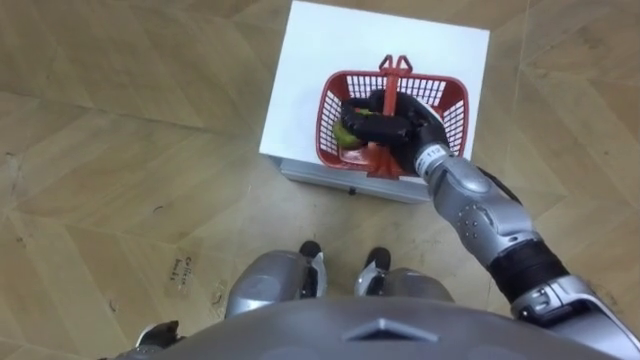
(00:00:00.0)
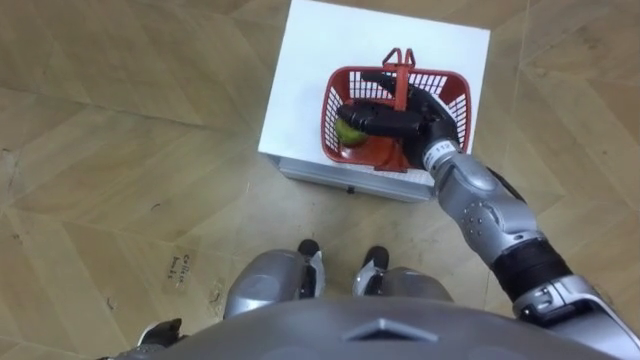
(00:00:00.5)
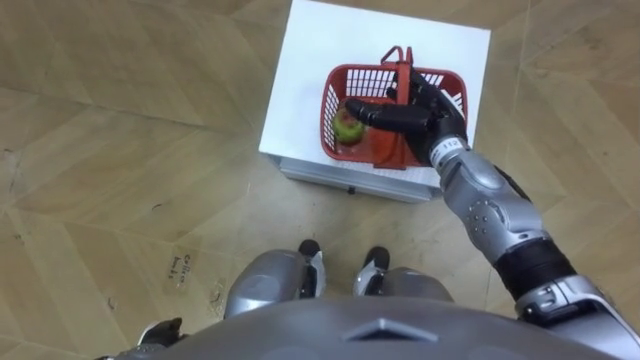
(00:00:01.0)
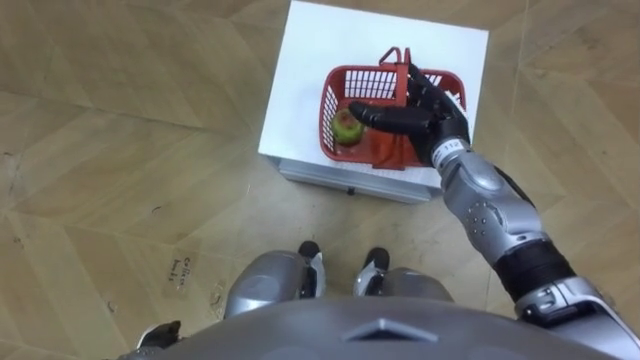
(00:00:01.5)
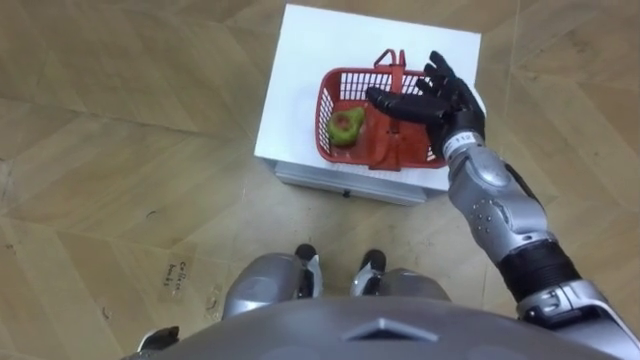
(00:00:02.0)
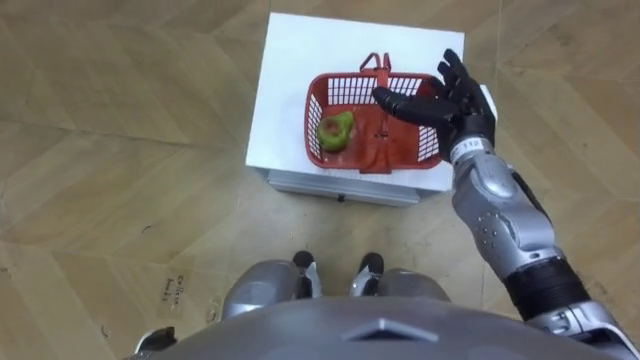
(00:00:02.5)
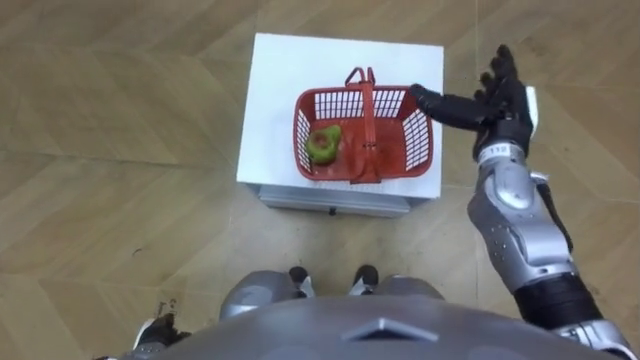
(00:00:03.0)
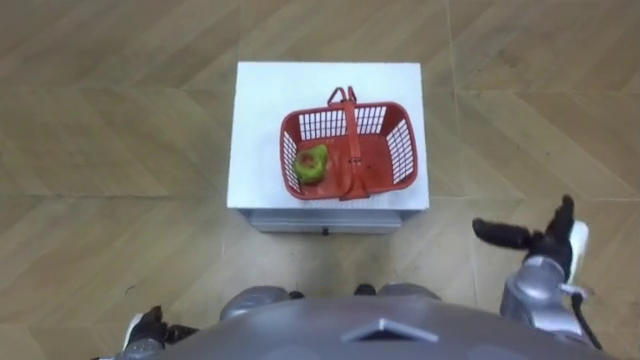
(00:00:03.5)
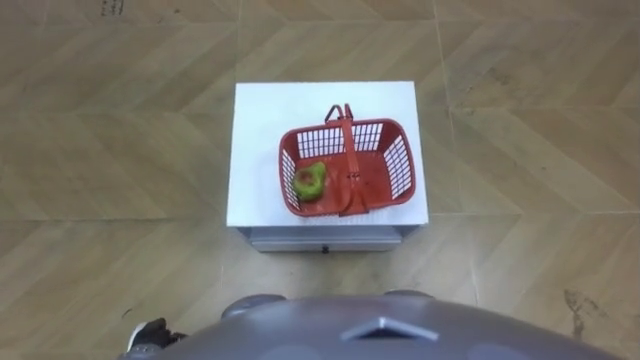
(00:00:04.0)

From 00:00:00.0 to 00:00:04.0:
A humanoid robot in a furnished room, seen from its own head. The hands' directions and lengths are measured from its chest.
Task of the whole recording: Pick up the fruit basket from the floor and place it on the cabinet.
From 00:00:00.0 to 00:00:02.0: The right hand moves to the right, roughly 5 cm, and opens.

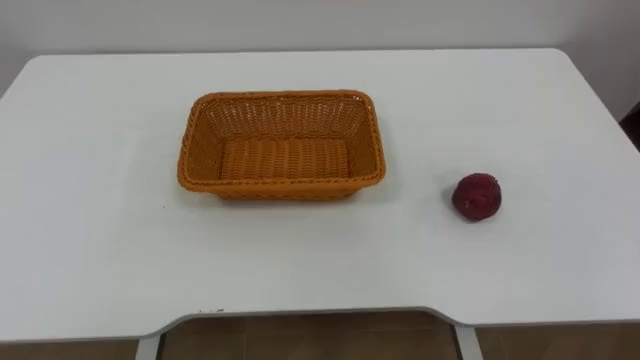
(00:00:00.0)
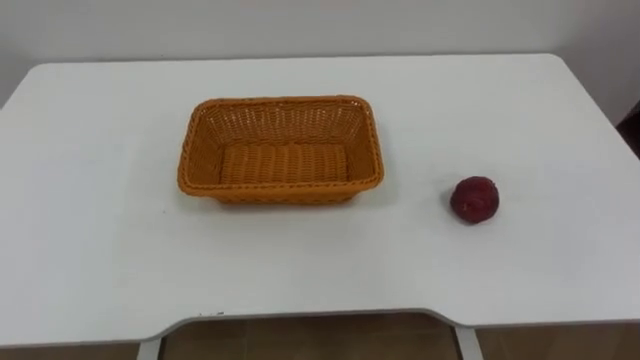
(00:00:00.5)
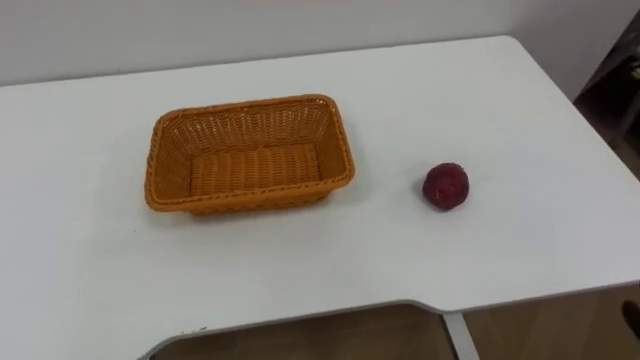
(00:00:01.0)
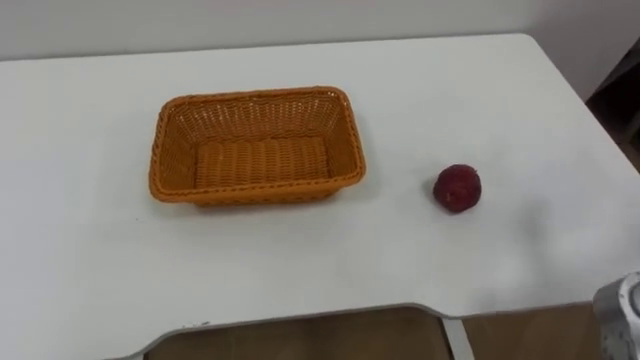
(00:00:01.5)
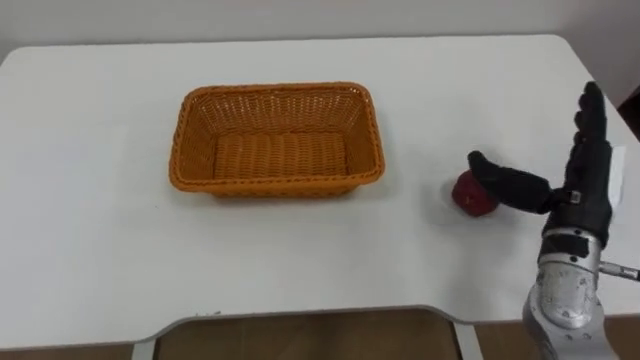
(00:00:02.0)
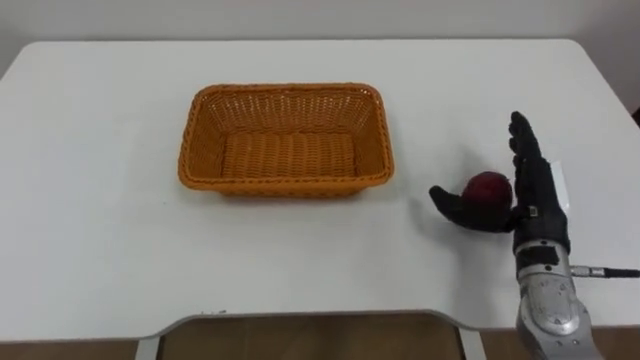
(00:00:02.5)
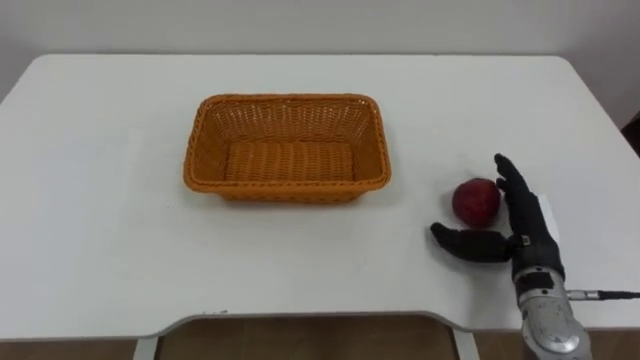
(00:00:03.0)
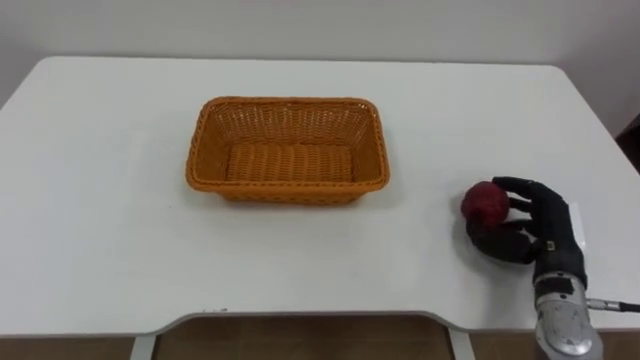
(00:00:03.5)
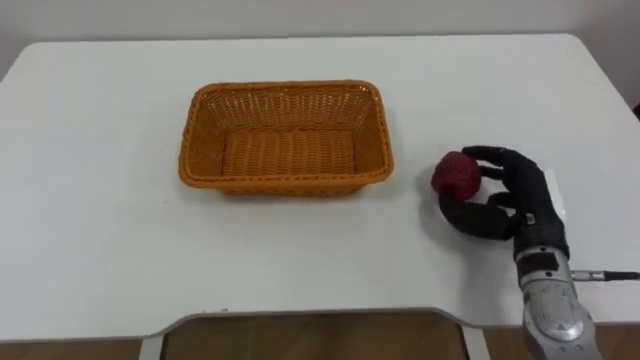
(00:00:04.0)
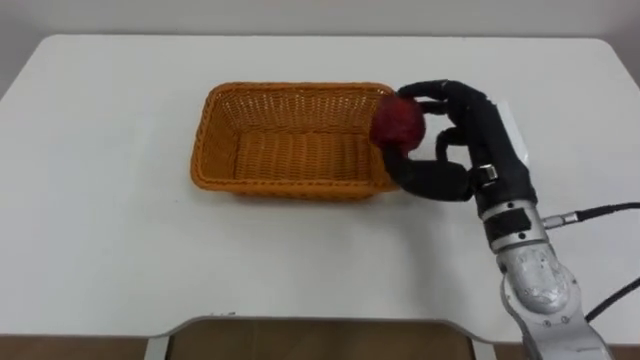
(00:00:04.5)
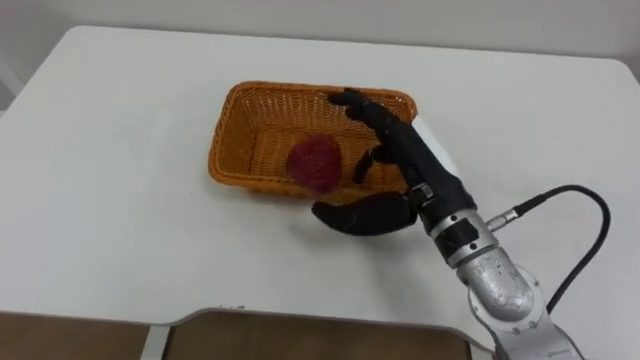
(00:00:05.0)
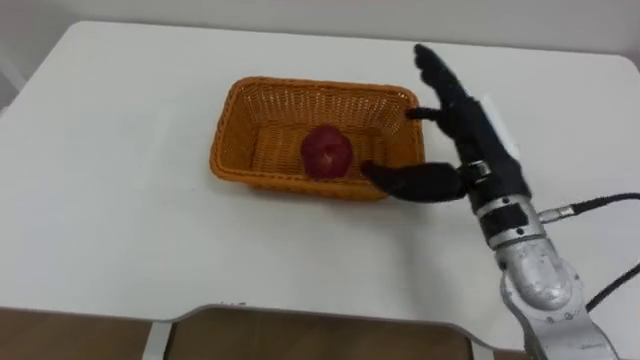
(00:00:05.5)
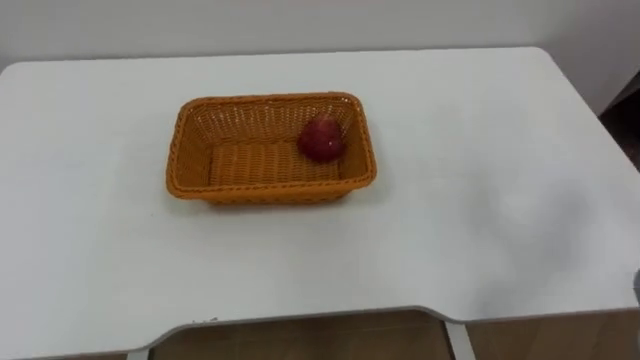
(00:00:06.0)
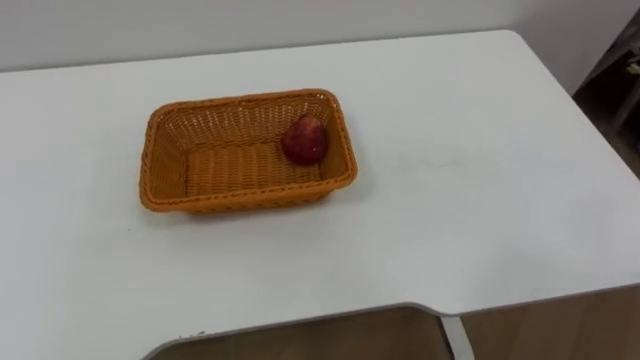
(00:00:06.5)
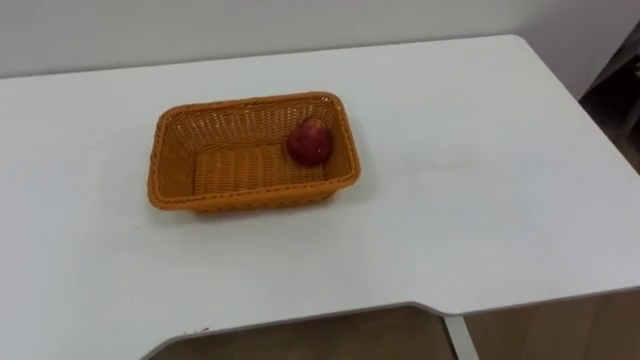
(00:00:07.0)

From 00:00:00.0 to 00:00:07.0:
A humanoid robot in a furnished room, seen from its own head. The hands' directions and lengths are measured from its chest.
Task of the whole recording: Pick the apple and place it in the box.
From 00:00:02.0 to 00:00:03.5: The right hand moves downward, some 10 cm, and closes its fingers.
From 00:00:03.5 to 00:00:05.0: The right hand is displaced to the left and upward by approximately 25 cm.

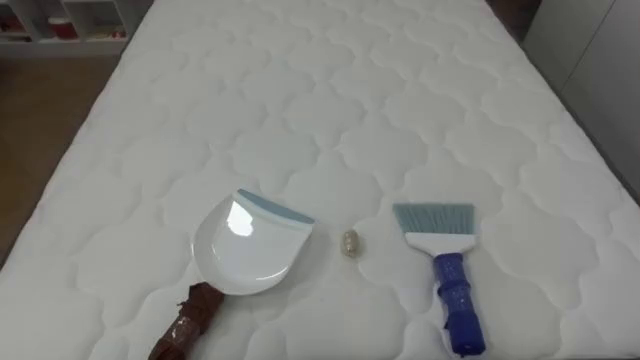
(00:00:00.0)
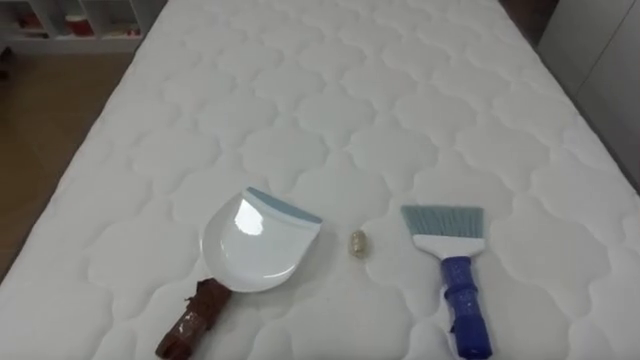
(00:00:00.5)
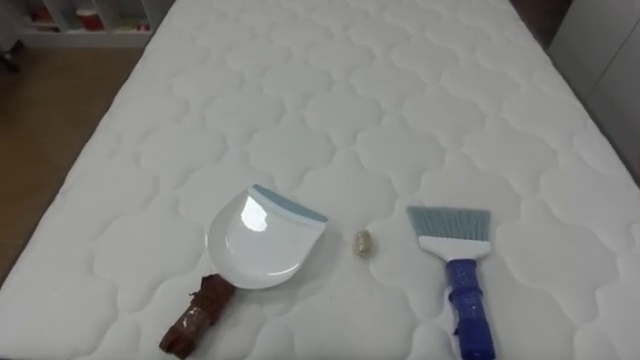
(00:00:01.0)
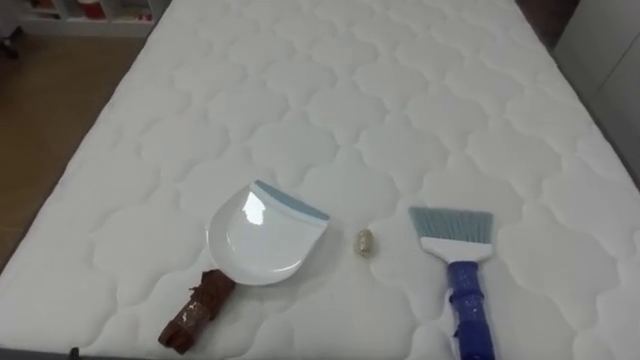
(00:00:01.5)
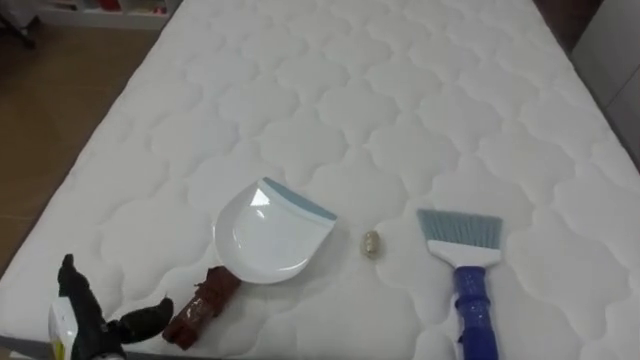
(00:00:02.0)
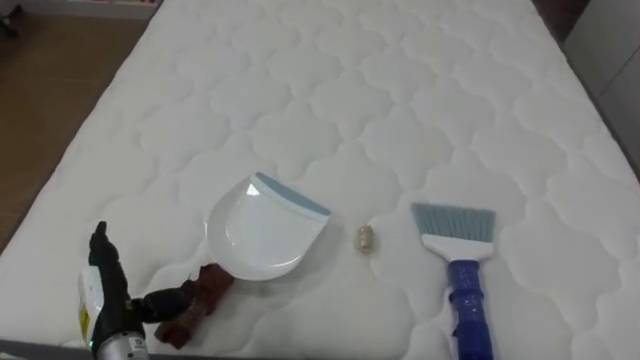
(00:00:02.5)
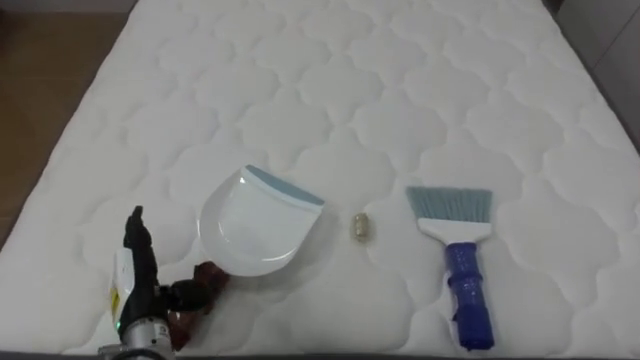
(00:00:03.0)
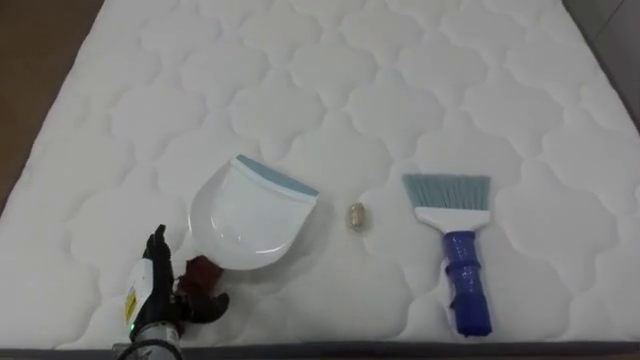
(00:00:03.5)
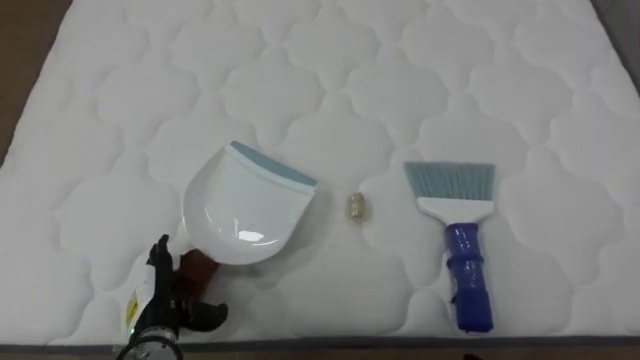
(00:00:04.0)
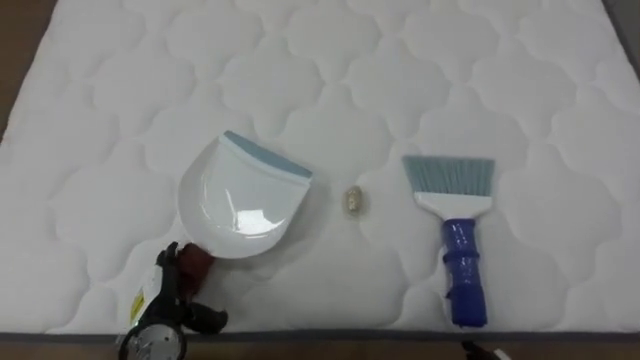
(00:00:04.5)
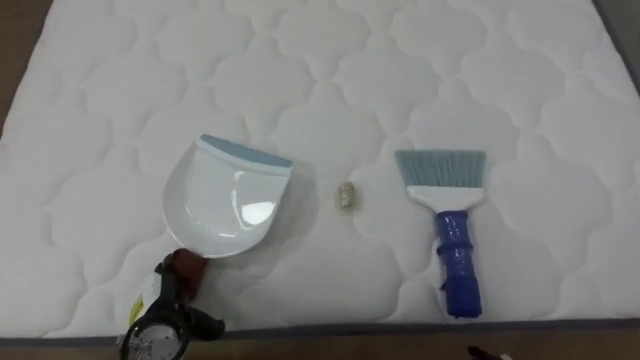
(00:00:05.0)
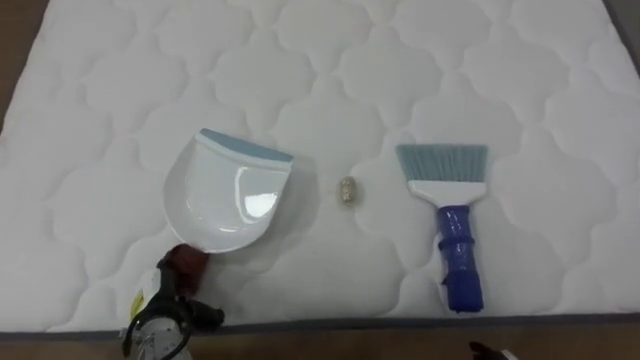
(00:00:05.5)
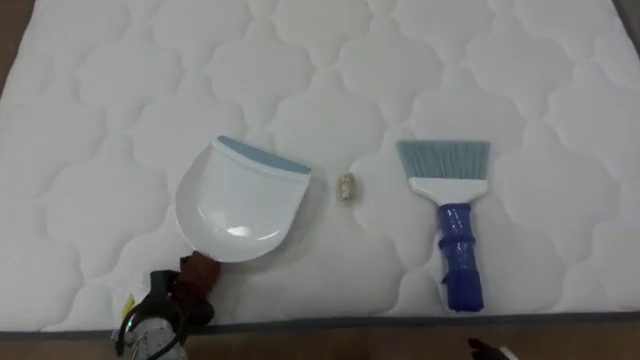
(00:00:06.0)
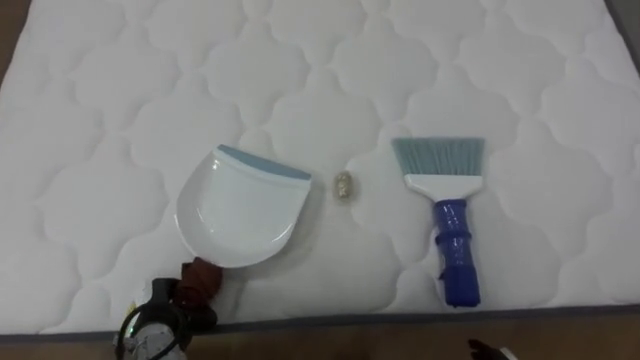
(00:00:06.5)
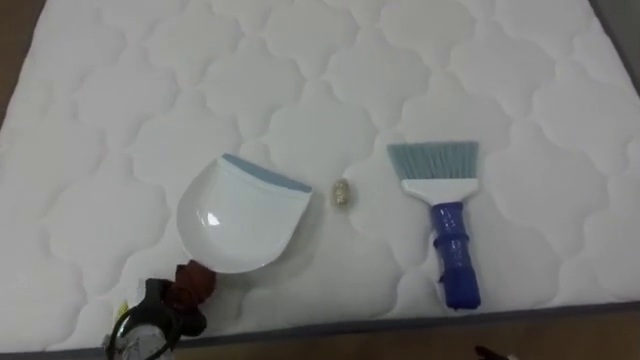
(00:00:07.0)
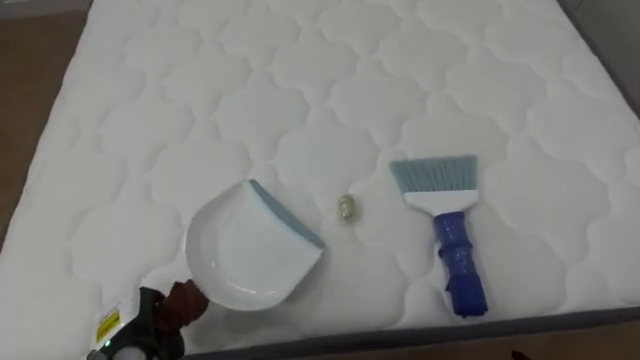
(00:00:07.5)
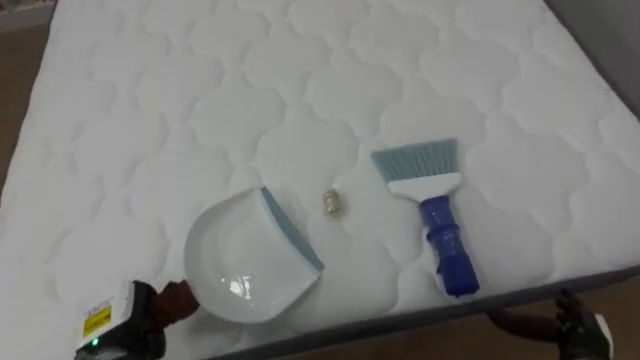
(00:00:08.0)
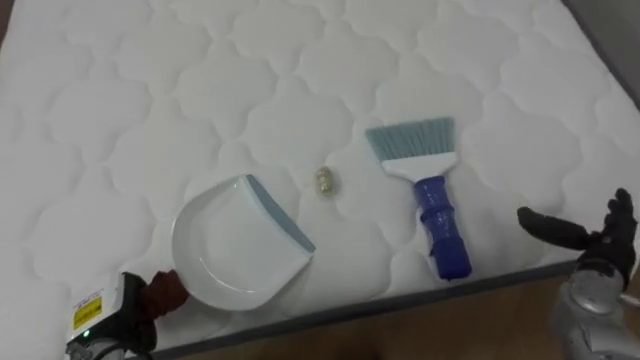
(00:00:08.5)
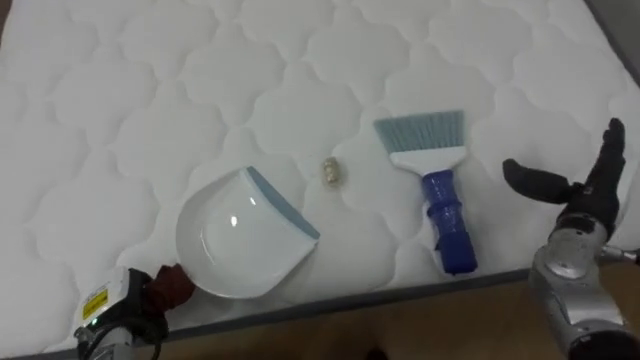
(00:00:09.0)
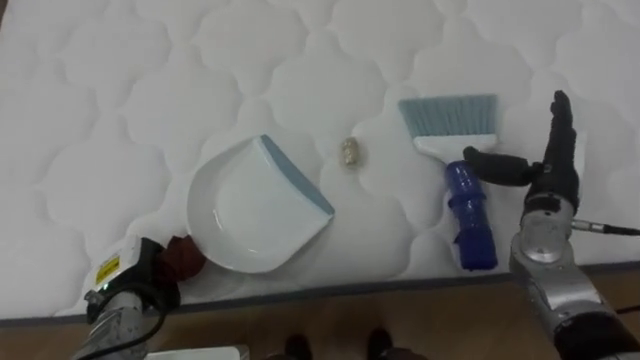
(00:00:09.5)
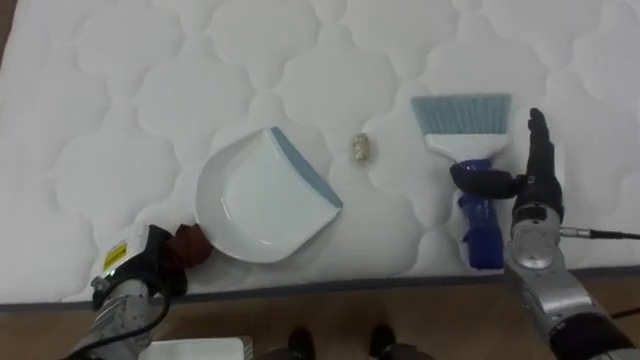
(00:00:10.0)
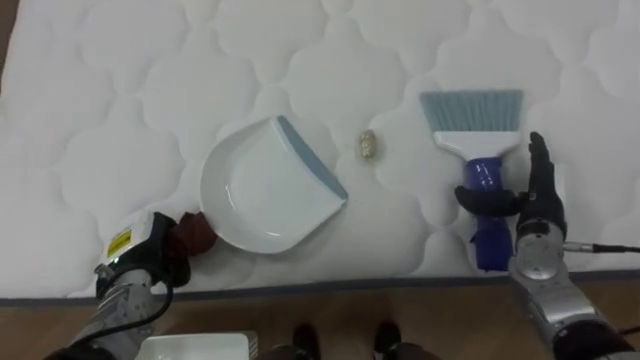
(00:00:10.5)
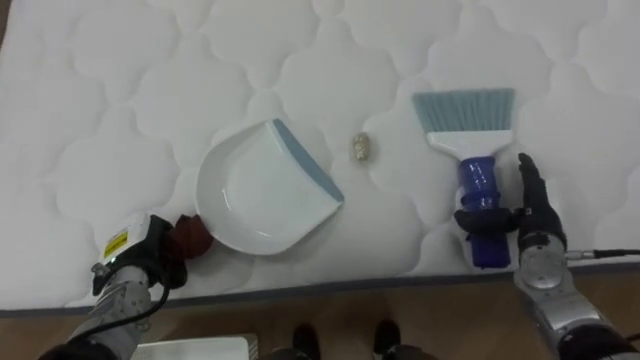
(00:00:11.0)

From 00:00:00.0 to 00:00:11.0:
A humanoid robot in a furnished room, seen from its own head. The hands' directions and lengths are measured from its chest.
Task of the whole recording: Pick up the brush on your right and the dustpan on your left. Use the brush to sweep the crumpled paper on the bed into the dustpan, then turn left and empty it into the basket.
From 00:00:02.0 to 00:00:03.5: The left hand goes approximately 10 cm to the right and forward.
From 00:00:05.5 to 00:00:07.5: The left hand closes.
From 00:00:09.0 to 00:00:11.0: The right hand travels downward by roughly 5 cm, while the left hand travels forward by about 5 cm.
